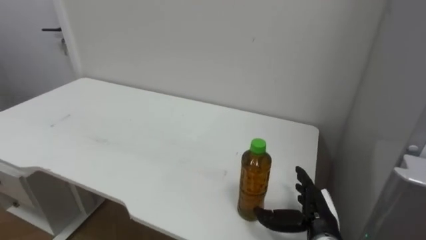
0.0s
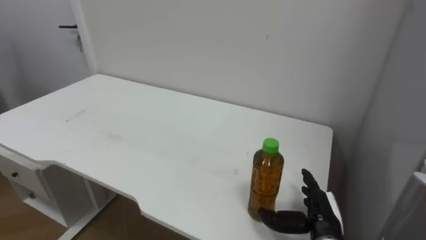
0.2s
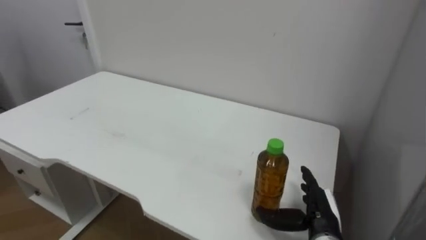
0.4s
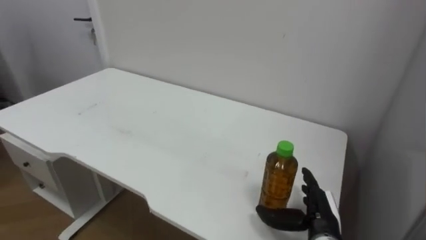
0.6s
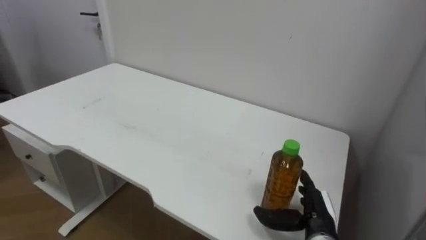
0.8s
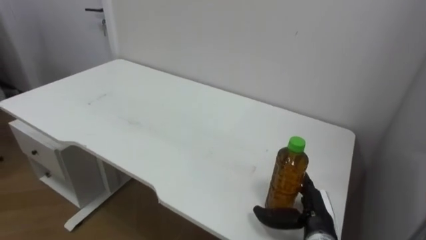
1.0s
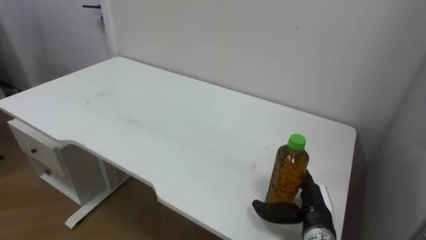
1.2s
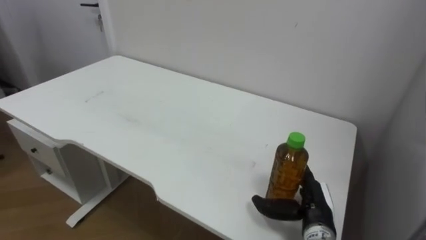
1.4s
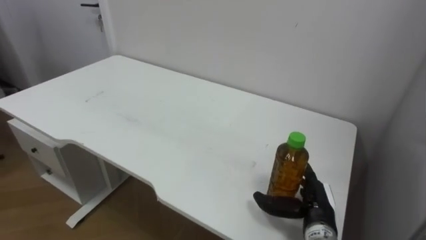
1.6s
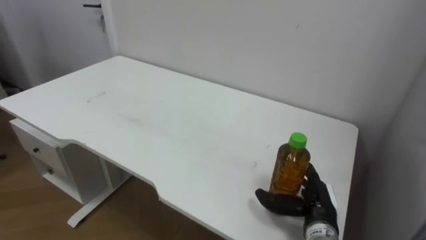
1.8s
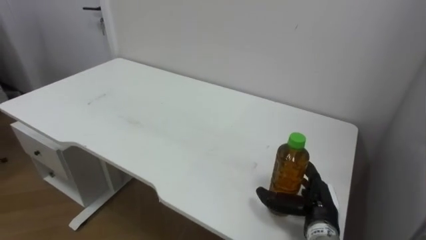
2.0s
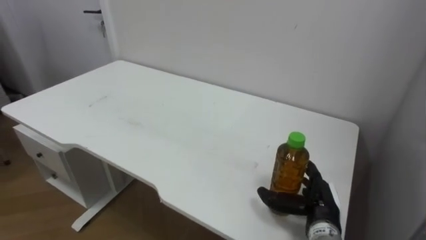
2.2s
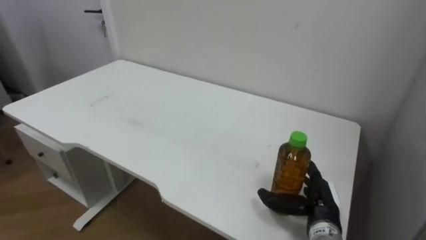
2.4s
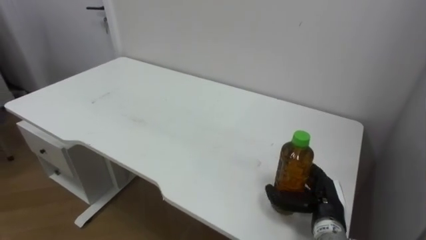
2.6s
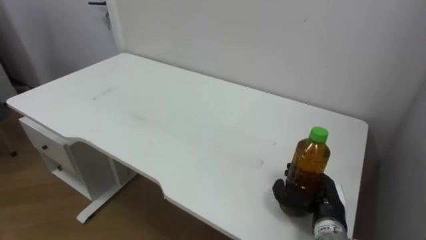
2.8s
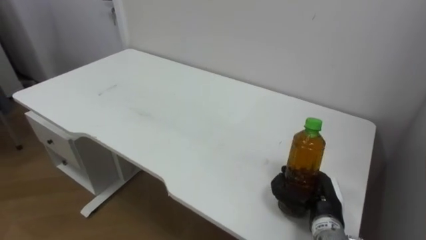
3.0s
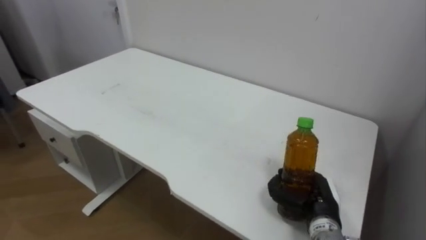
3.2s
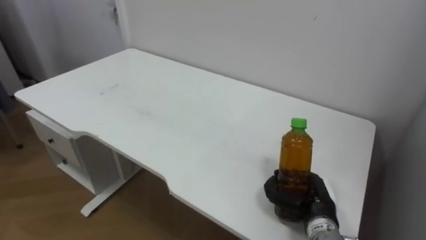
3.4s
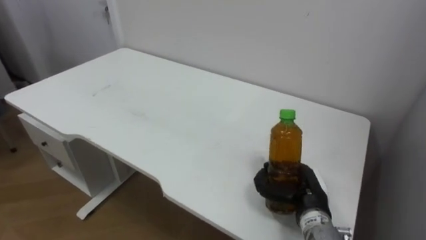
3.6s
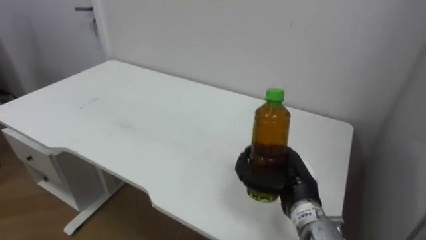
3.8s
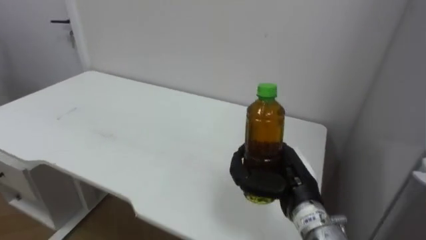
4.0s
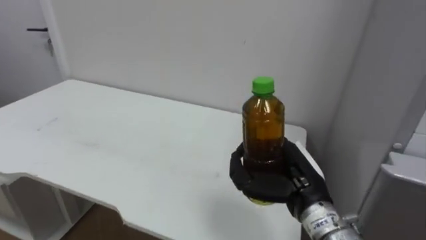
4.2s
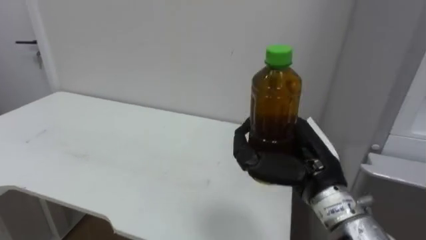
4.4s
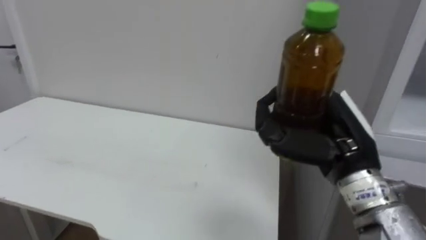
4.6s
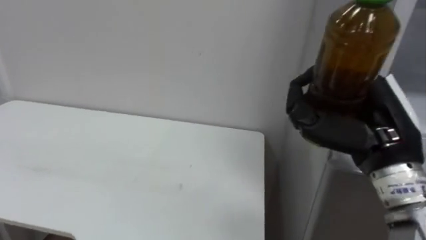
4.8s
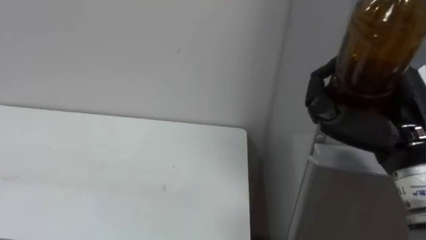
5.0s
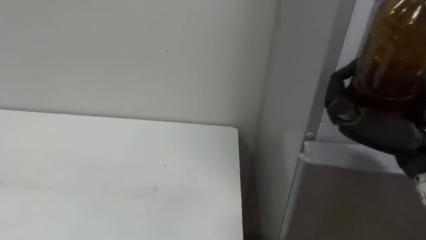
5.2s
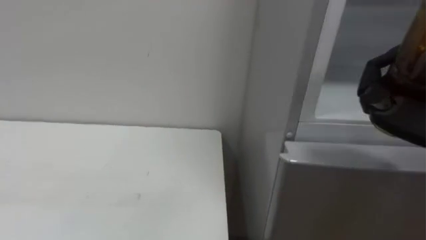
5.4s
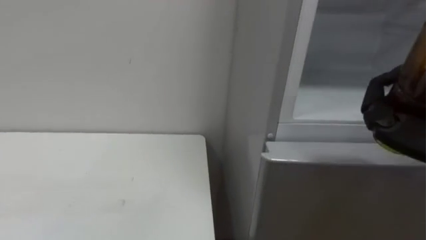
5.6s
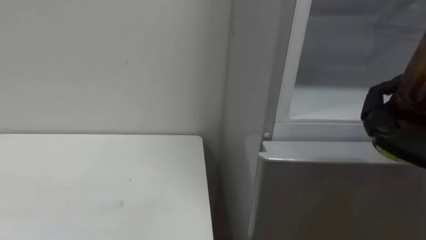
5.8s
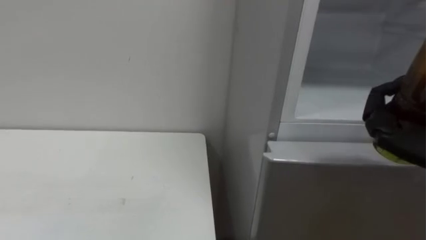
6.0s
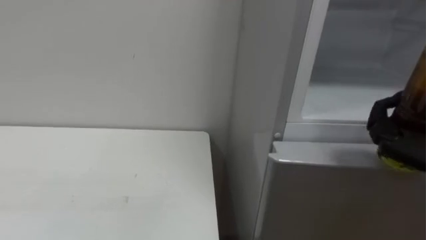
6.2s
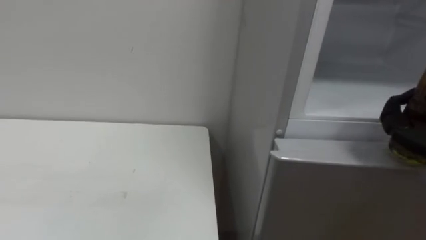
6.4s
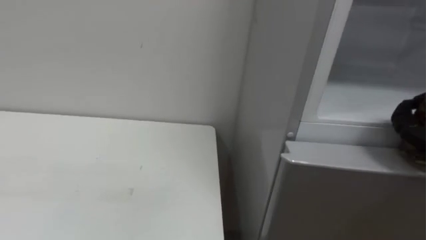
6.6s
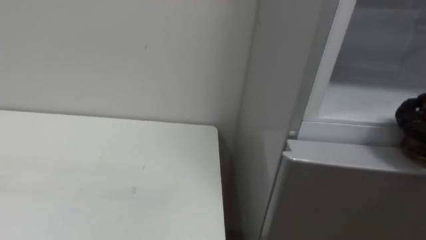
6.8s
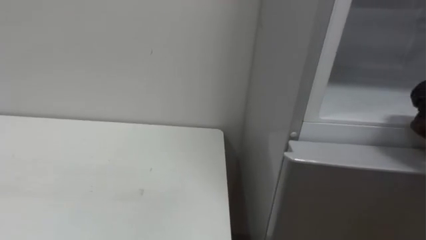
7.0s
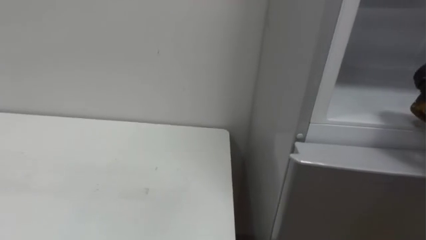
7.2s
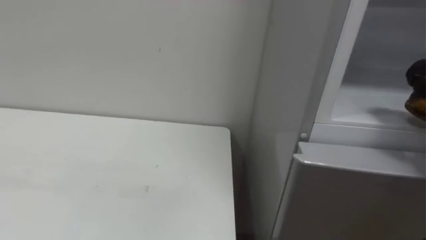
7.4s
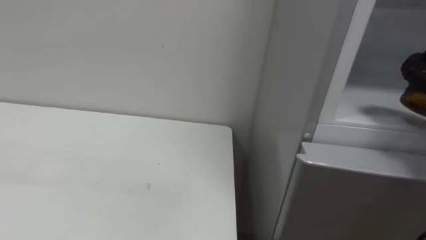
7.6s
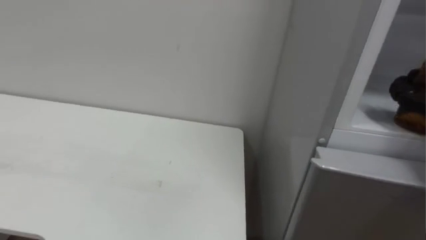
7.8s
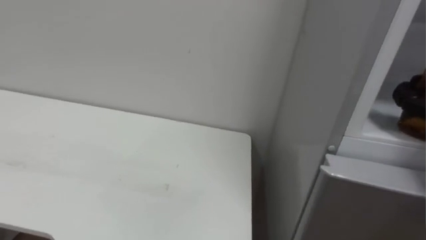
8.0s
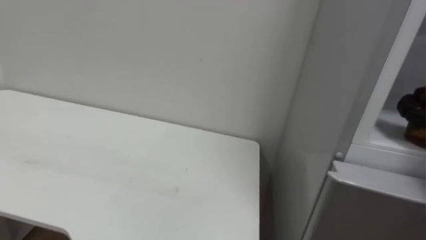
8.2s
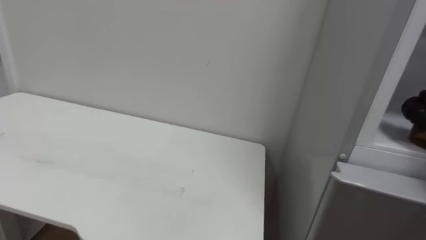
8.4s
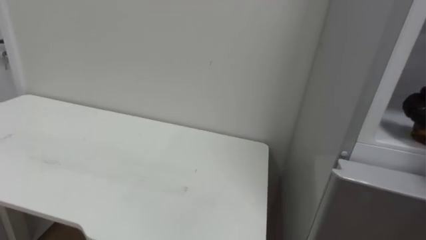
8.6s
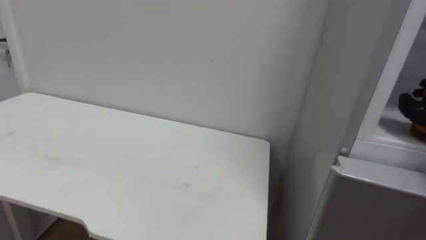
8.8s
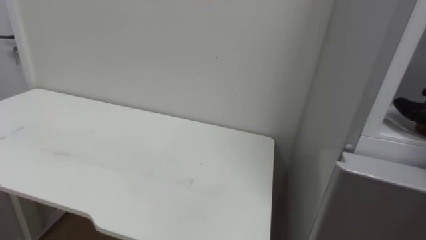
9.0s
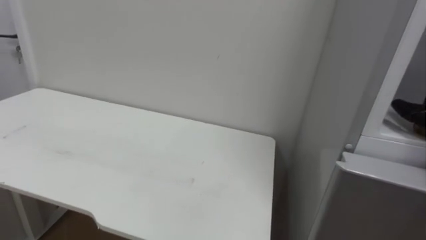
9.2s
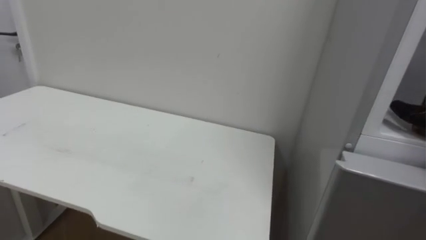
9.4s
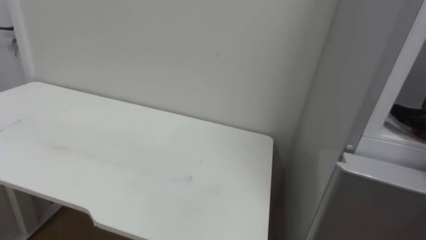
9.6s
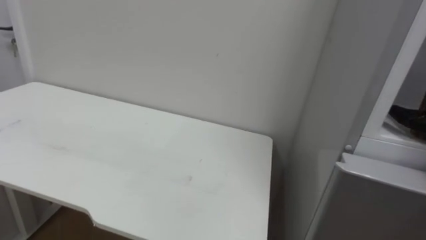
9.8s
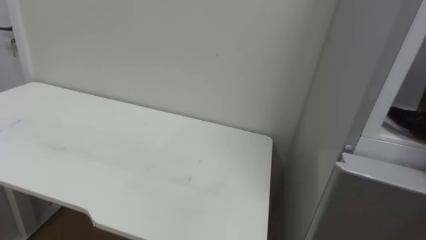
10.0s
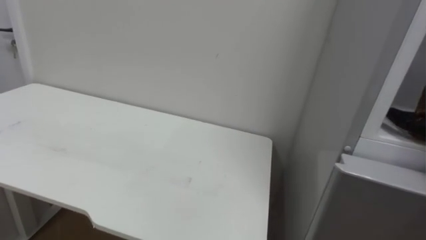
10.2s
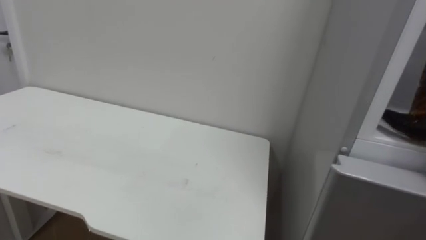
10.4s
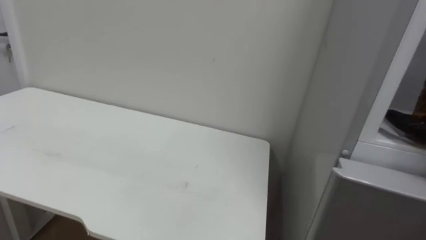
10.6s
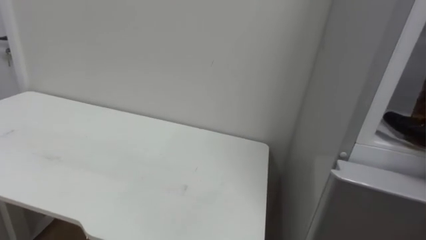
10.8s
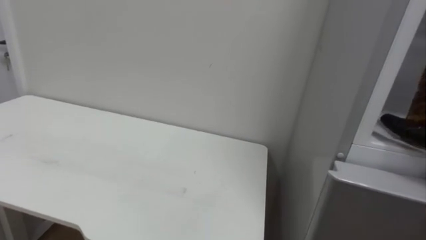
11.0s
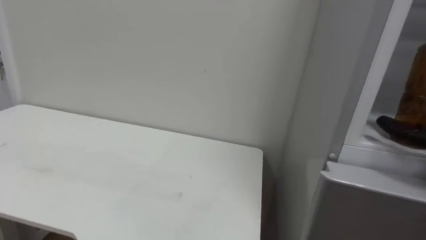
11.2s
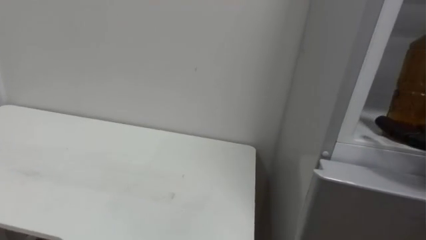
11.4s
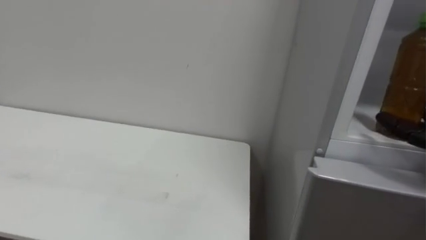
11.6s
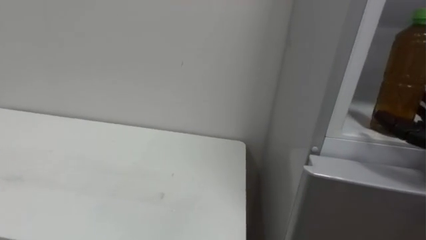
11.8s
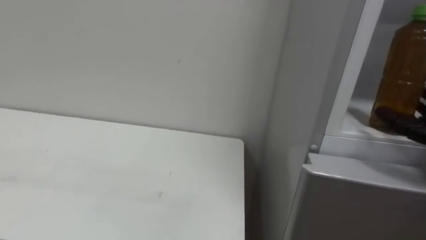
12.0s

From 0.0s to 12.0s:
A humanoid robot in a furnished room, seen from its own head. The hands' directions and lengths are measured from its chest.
Task of the whole recording: Open the upper refrigerator door, put the drink from the table into the refrigerator, and then close the refrigerator door.
From 1.6s to 3.0s: The right hand closes up.
From 3.0s to 4.4s: The right hand shifts roughly 15 cm upward.

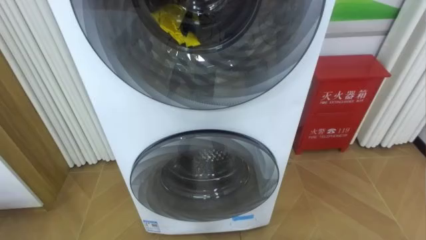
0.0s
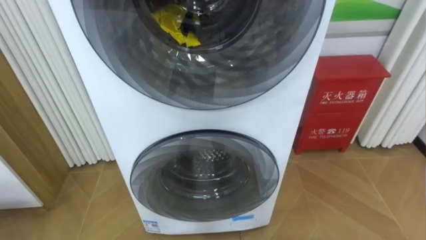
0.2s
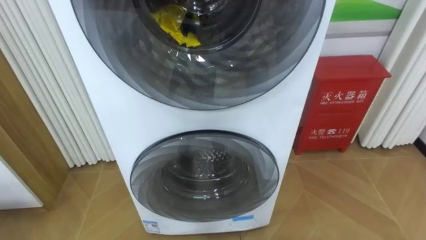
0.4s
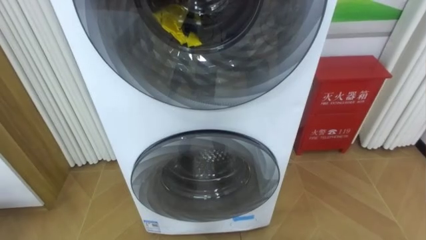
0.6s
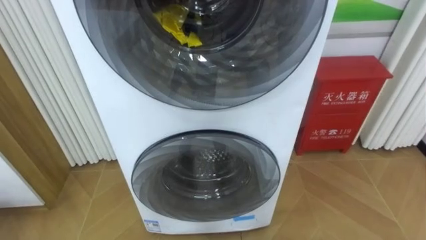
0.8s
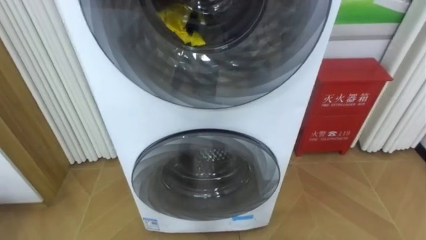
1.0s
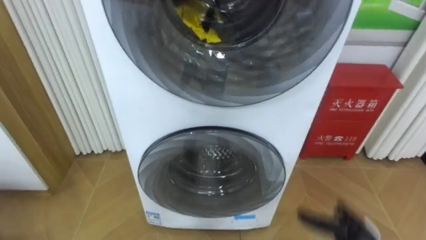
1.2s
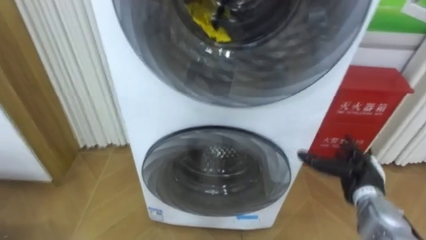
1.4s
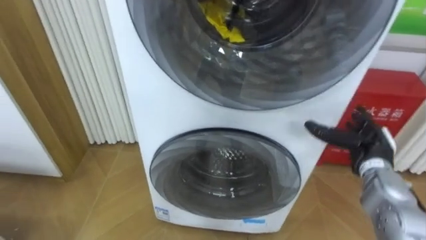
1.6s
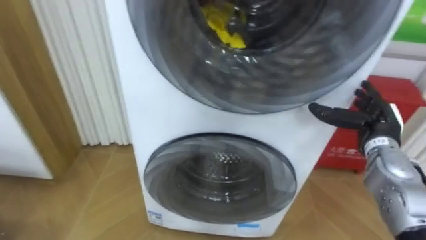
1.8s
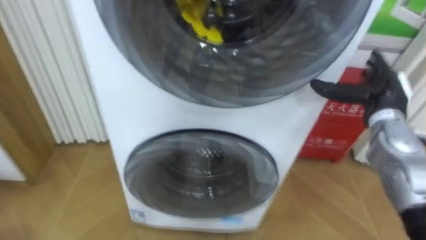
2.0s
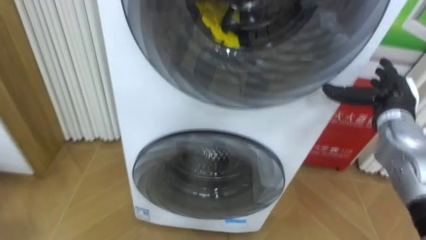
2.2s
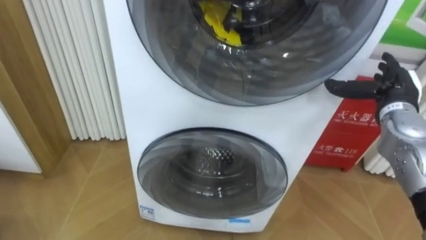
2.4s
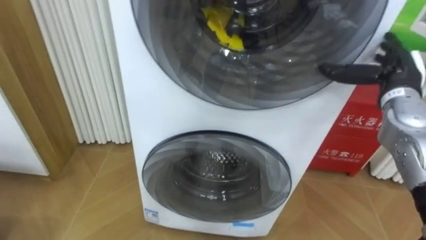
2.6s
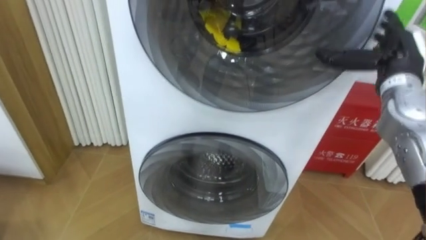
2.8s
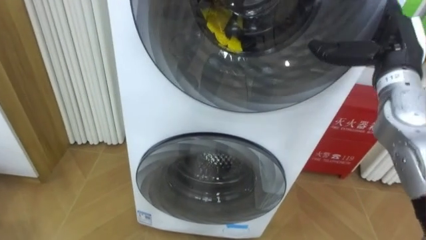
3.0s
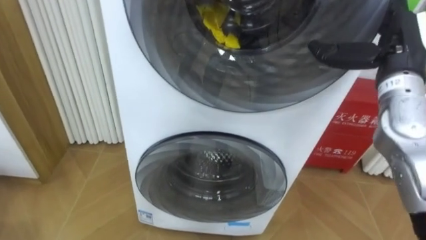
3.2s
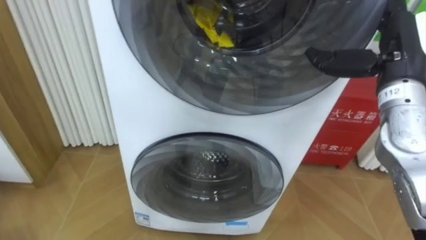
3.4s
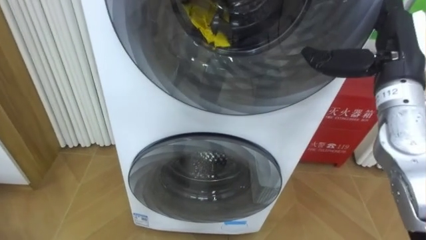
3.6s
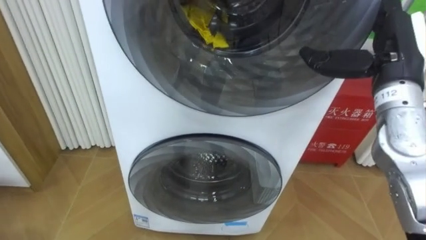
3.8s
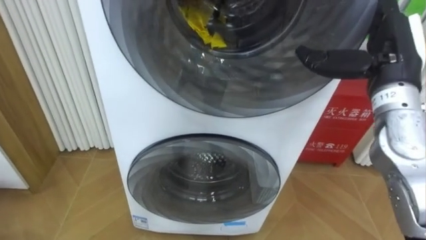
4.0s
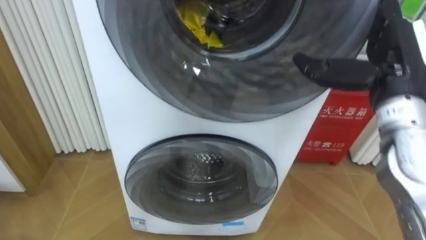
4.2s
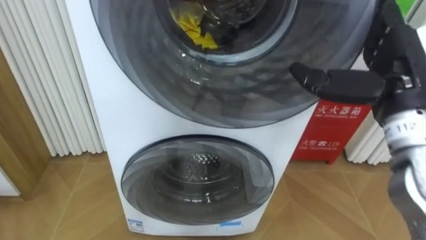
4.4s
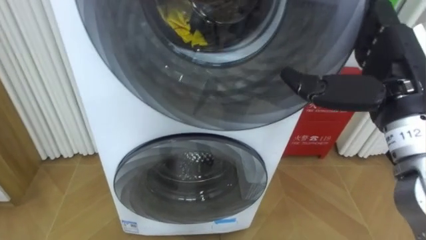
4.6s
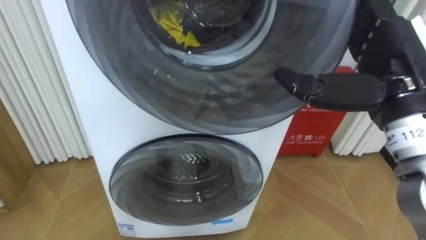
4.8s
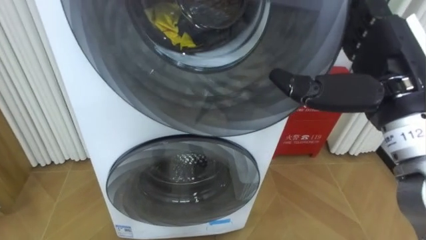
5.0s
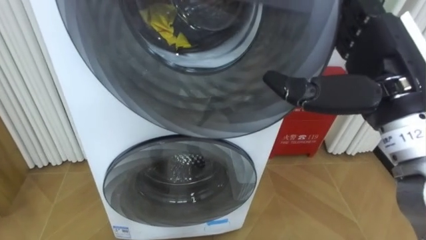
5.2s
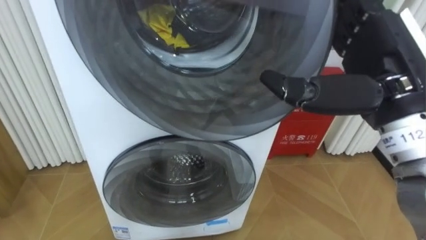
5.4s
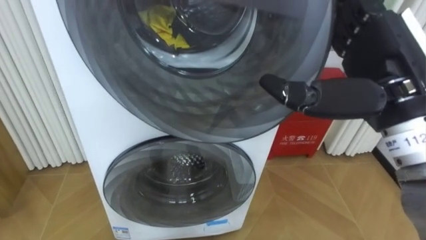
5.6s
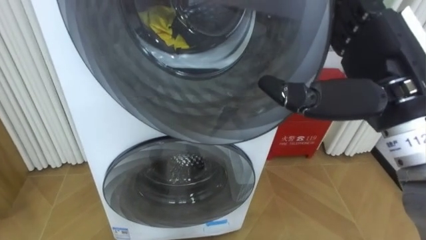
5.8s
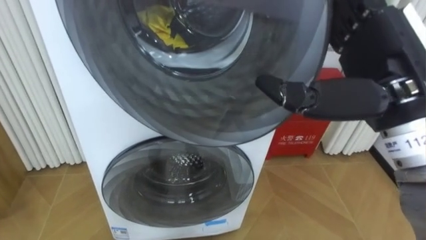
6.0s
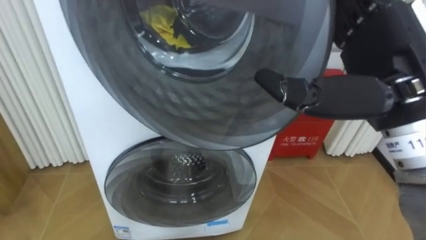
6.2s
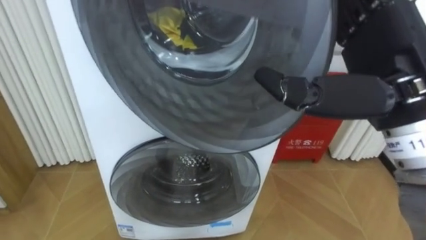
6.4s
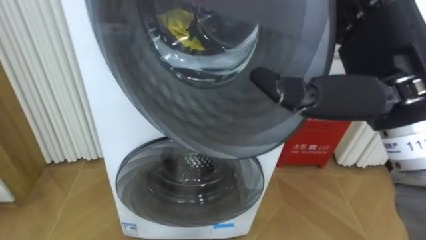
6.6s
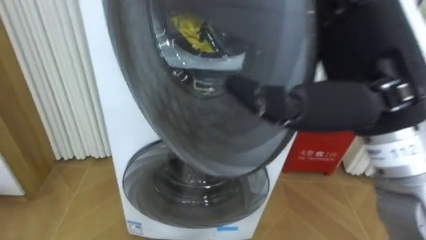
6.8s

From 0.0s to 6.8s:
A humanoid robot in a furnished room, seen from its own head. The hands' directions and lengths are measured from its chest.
Task of the whole recording: Open the washing machine door, take out the yellow clothes, place them in the box on the right, and close the washing machine door.
From 1.4s to 2.8s: The right hand is displaced upward by about 20 cm.
From 2.8s to 4.0s: The right hand goes about 5 cm backward.
From 4.0s to 5.4s: The right hand goes about 10 cm backward.
From 5.4s to 6.8s: The right hand moves about 5 cm.
